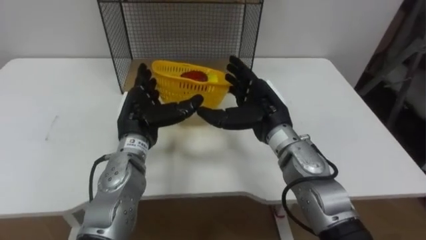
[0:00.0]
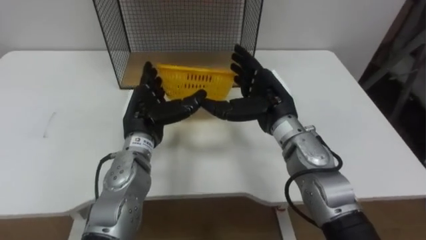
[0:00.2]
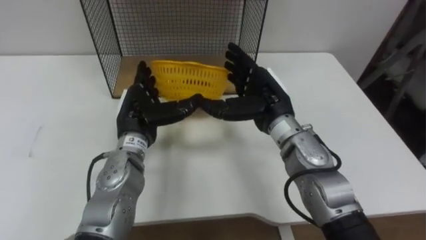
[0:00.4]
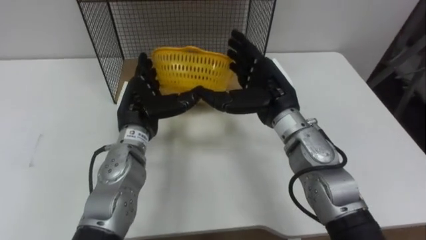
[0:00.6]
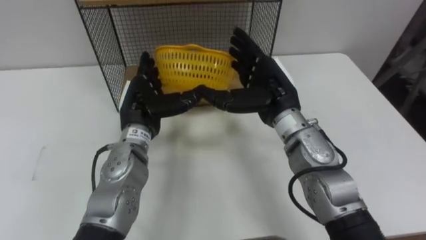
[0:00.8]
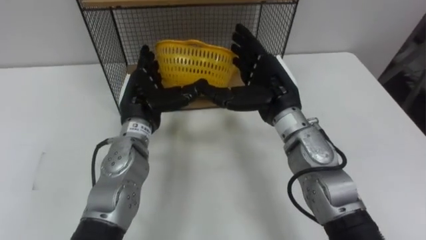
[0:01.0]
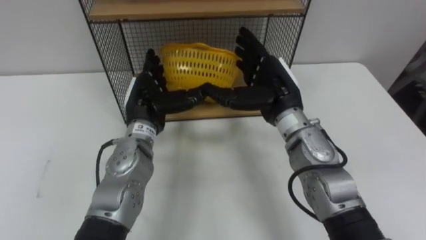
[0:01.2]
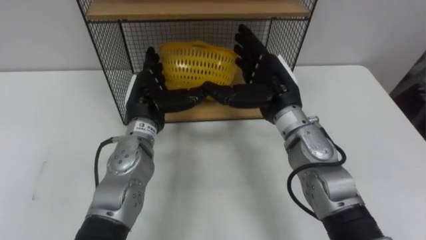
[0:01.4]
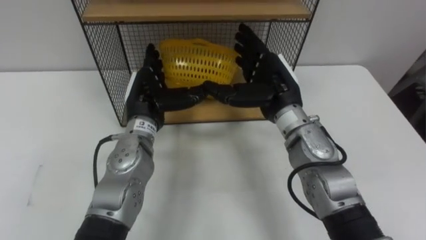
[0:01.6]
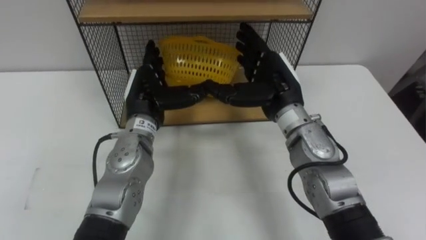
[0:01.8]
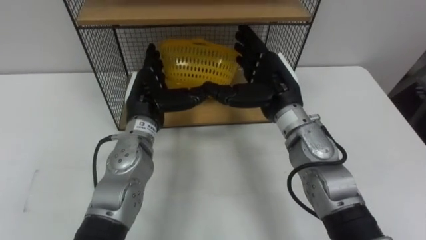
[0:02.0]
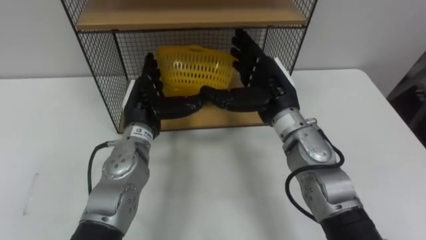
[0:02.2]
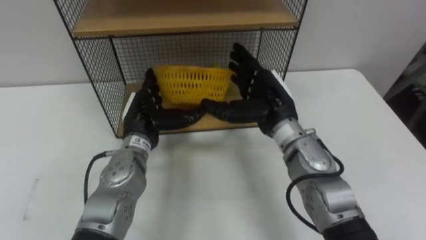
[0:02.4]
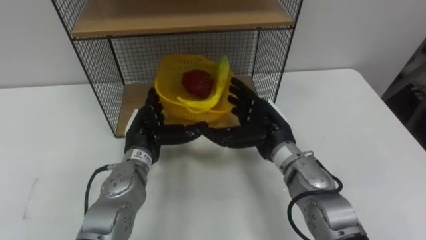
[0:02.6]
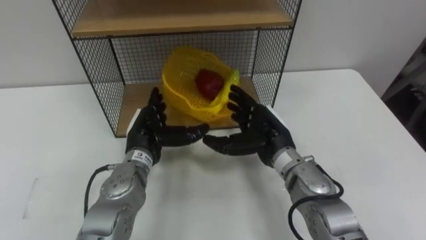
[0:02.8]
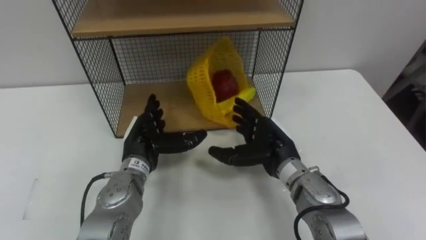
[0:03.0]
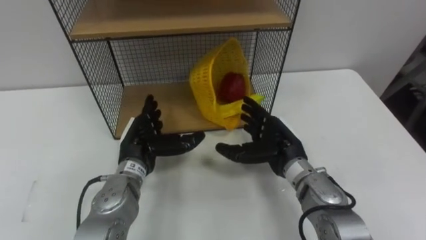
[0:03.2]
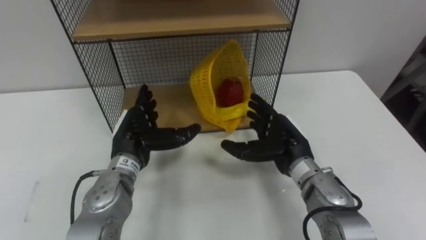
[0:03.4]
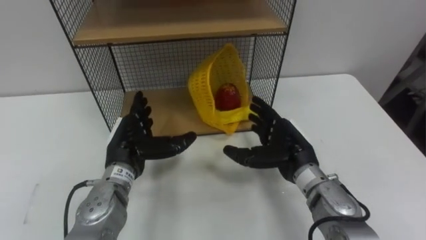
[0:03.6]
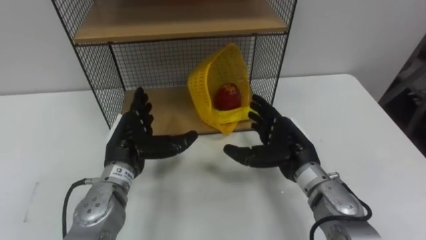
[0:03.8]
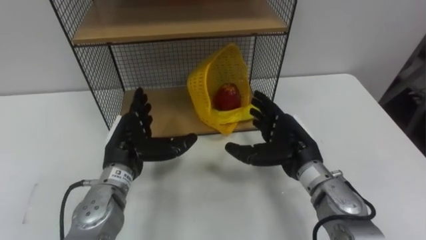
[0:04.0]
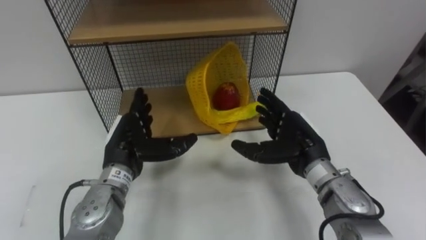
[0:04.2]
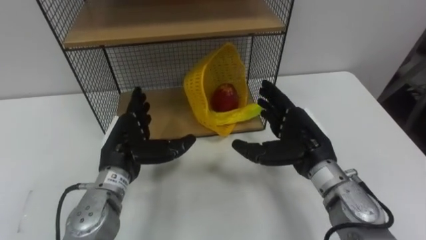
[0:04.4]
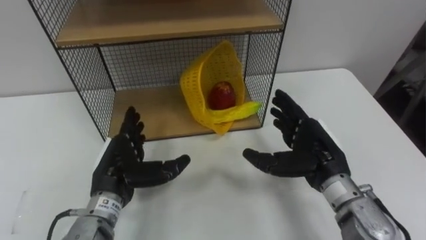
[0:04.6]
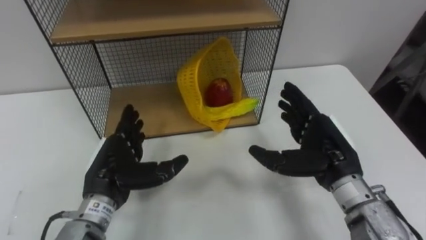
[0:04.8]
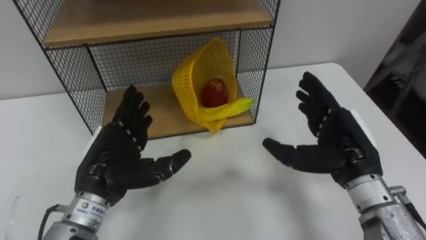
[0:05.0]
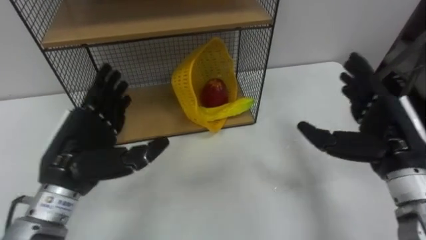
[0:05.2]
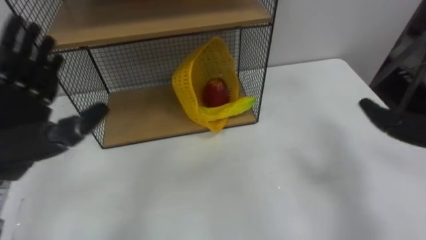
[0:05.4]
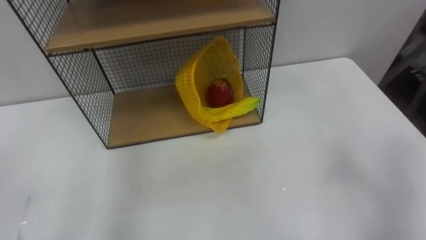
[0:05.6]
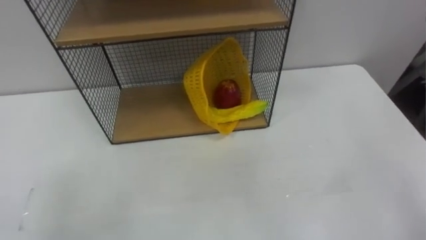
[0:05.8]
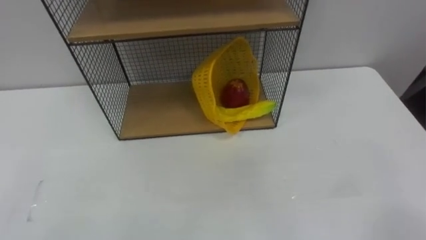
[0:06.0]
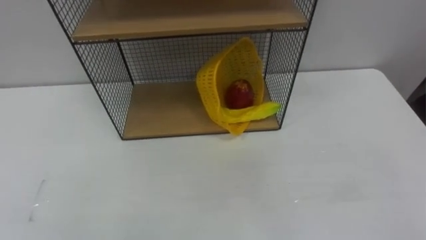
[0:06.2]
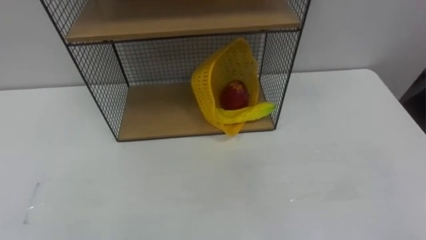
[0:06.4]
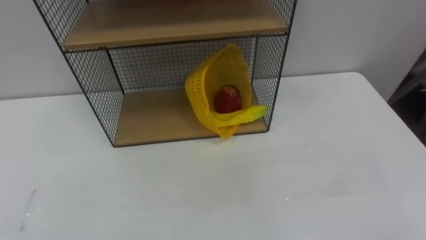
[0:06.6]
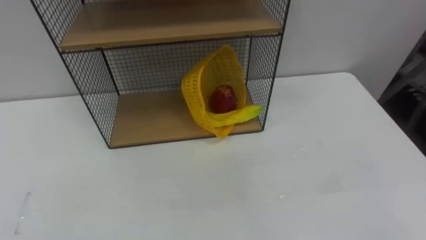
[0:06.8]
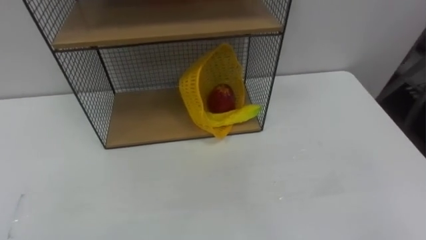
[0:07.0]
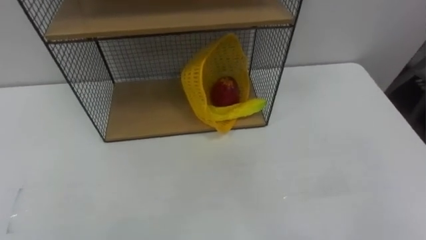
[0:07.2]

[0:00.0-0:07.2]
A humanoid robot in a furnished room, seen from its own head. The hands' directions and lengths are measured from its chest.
Task of the whole recording: Put the fruit on the table into the basket, then place the basket on the shelf.
1.4 to 2.8 s: Both hands travel together downward, approximately 5 cm.
2.8 to 4.4 s: The right hand is displaced to the right by approximately 5 cm. The left hand changes place by roughly 5 cm.

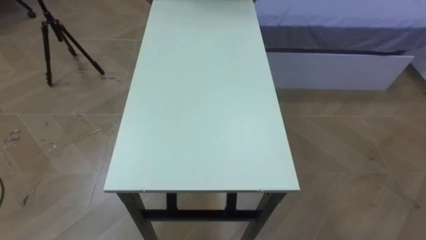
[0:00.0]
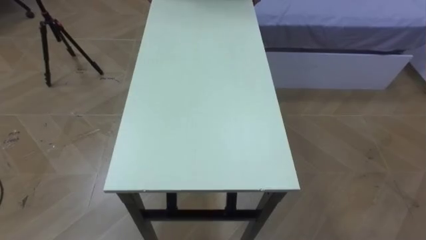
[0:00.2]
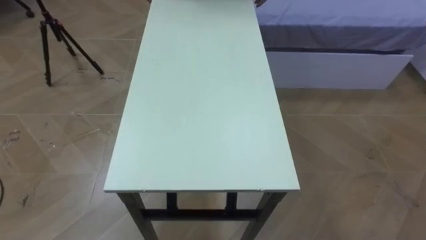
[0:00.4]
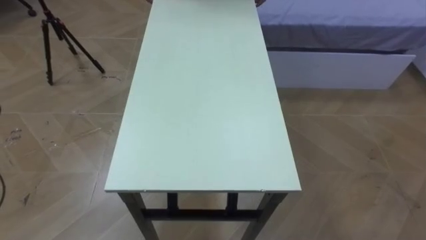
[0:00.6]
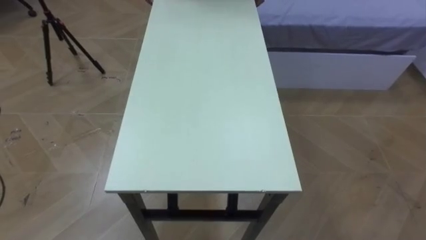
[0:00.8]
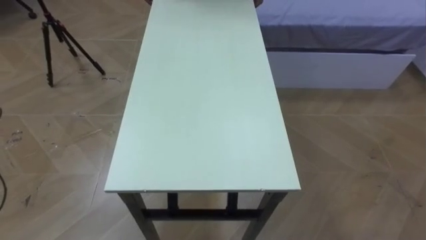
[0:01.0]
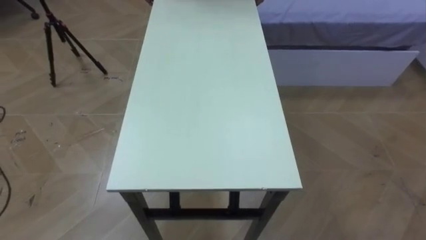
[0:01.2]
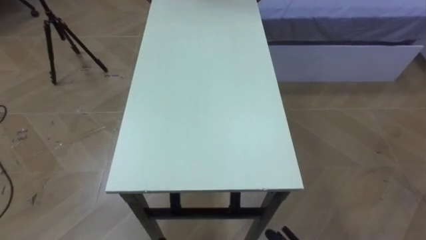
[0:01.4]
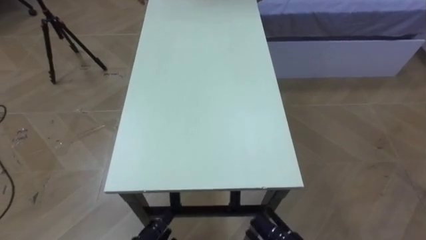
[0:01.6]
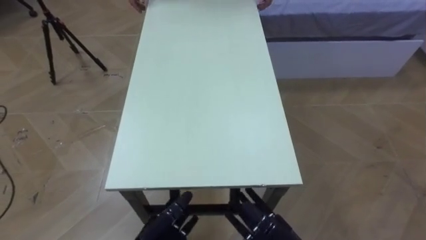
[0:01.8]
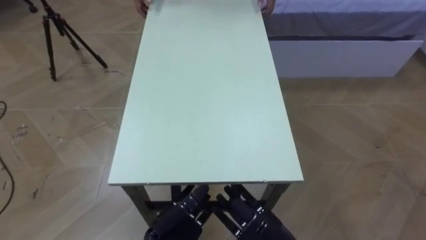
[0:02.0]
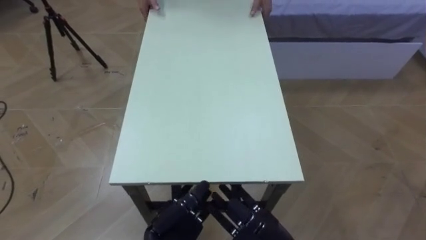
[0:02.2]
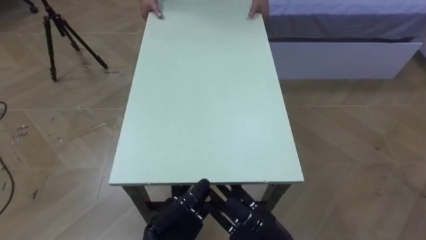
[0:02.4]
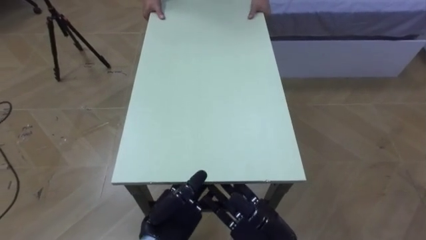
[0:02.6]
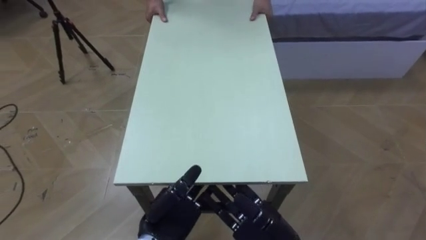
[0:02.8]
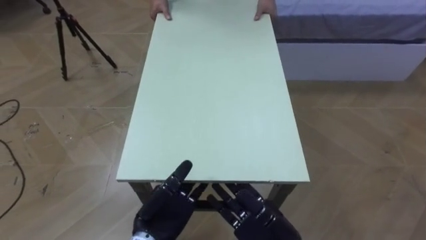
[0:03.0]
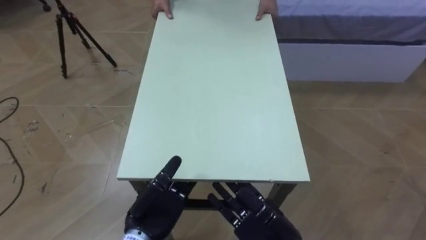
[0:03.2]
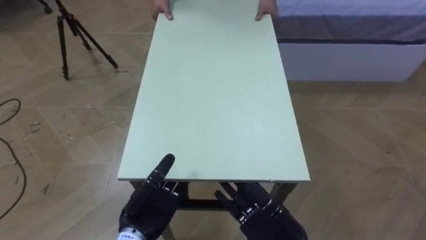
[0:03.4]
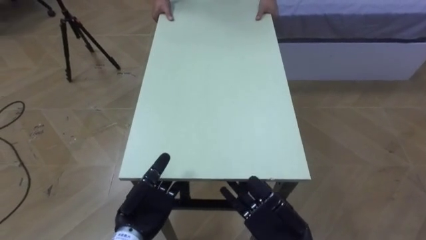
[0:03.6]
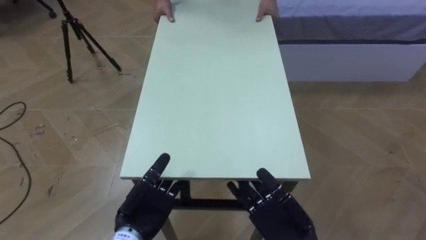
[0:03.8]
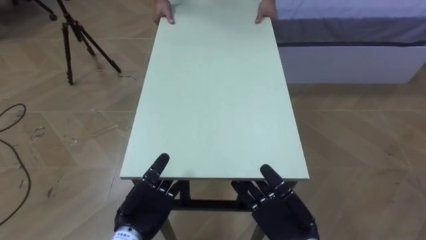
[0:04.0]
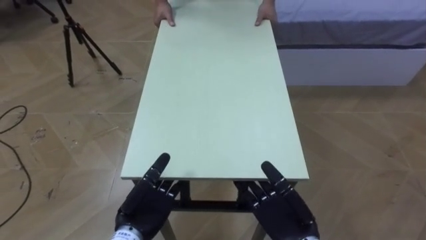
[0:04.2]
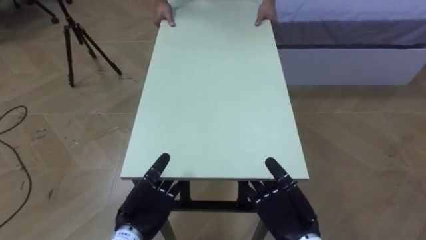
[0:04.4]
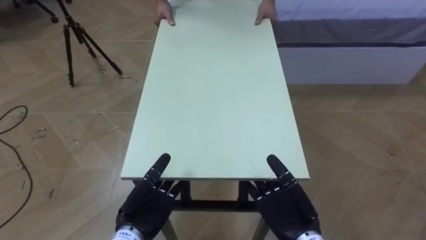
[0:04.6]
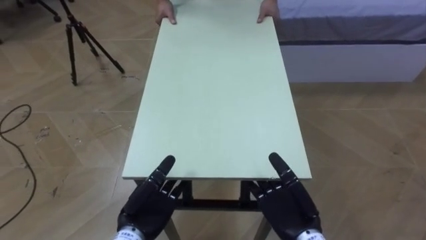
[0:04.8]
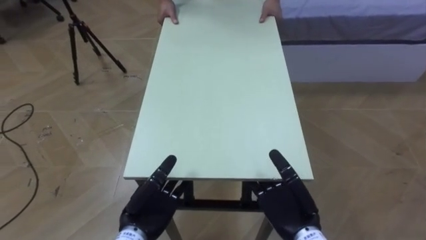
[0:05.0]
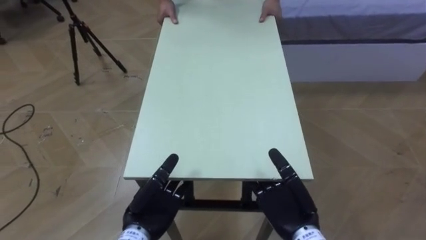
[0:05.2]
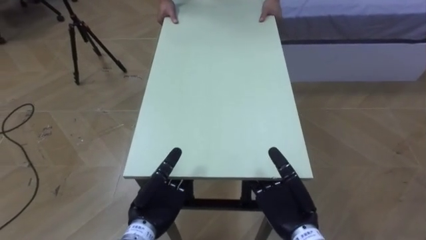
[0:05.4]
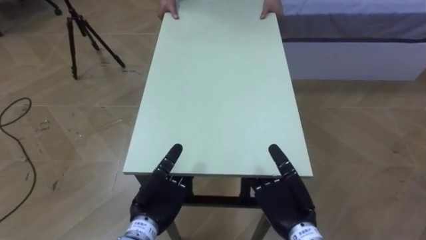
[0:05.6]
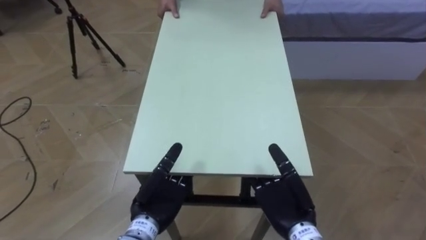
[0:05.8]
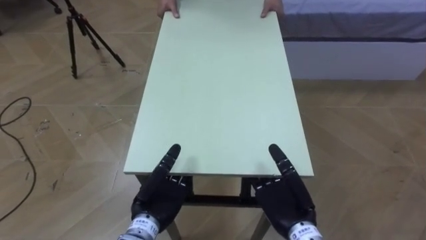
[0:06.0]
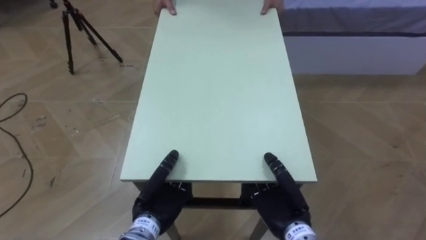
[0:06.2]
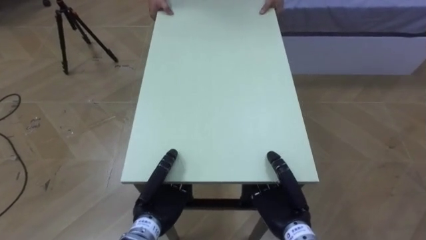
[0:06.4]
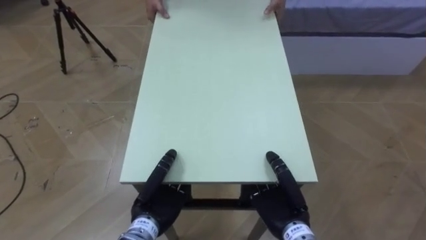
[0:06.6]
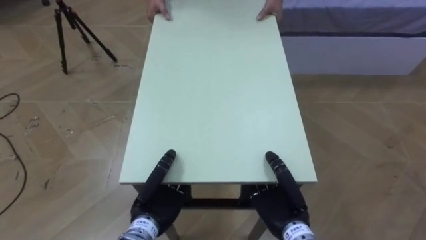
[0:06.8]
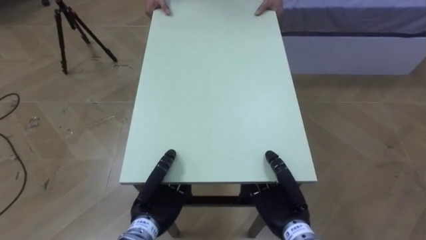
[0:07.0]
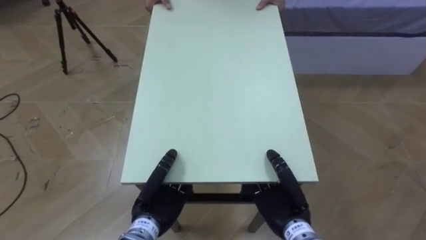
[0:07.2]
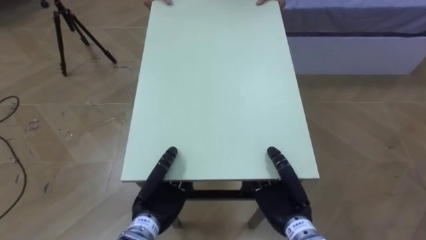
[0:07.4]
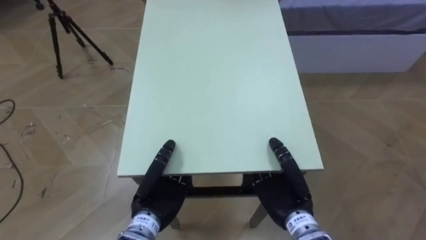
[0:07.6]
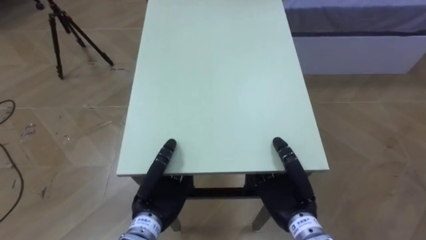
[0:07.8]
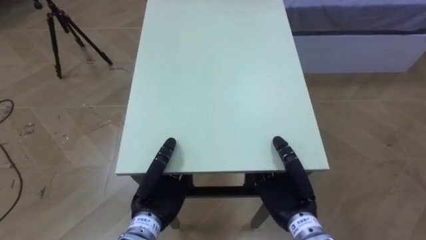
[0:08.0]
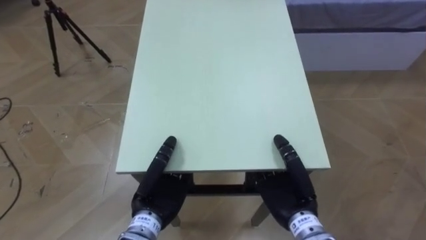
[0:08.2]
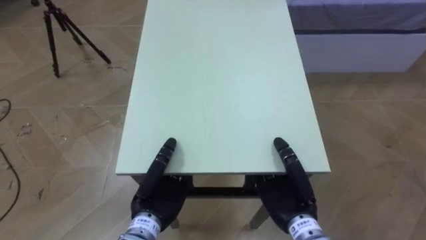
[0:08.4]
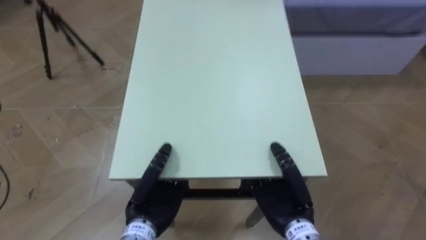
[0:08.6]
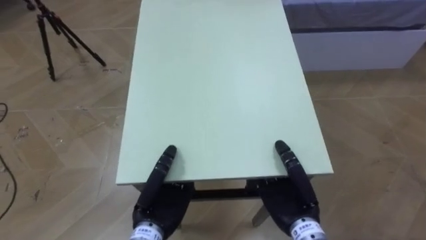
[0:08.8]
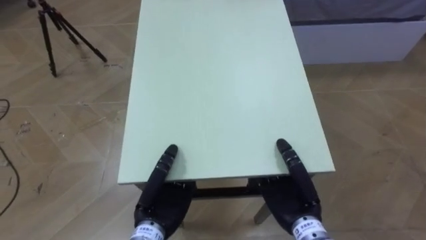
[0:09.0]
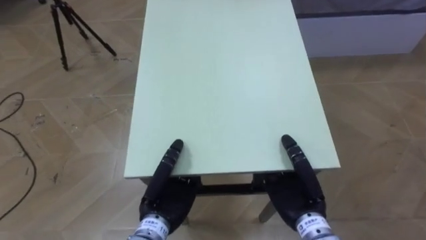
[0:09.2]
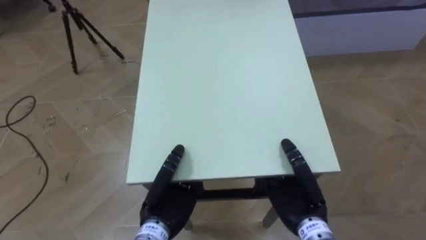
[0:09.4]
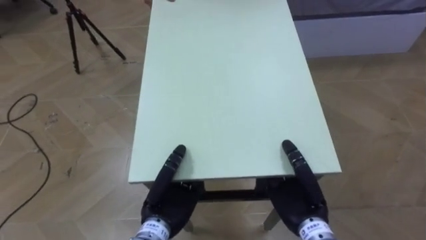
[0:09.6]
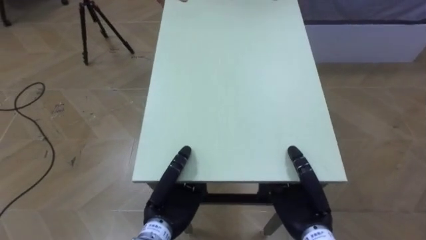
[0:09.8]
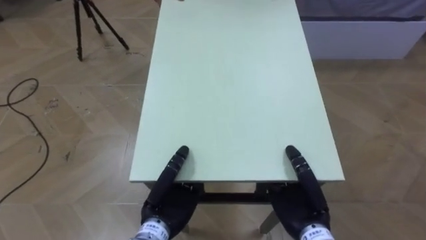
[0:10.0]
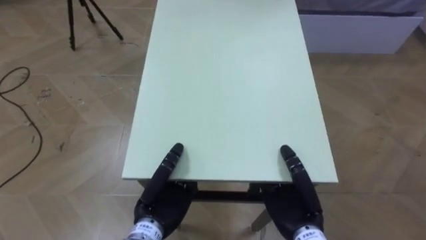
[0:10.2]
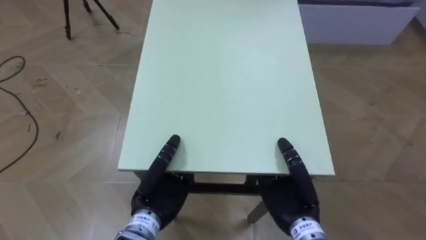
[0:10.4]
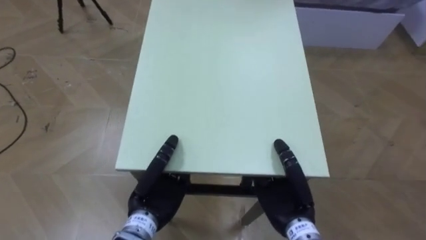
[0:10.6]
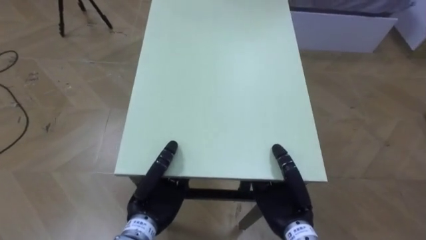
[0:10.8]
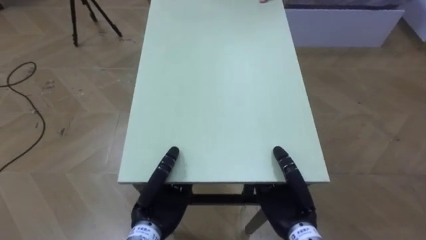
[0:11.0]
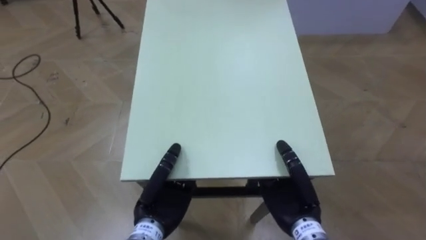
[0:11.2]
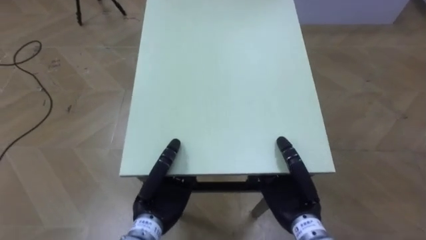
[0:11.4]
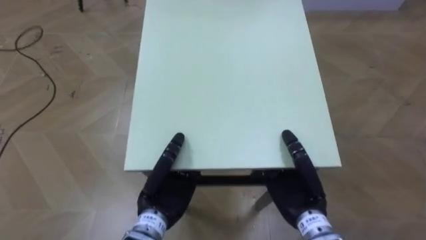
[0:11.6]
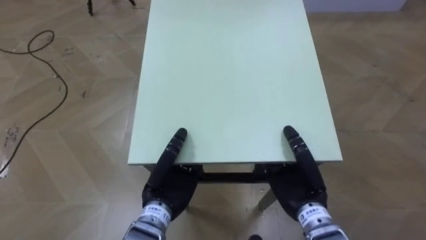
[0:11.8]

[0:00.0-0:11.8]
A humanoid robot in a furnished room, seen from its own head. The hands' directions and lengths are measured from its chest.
Task of the whole recording: Move the table to the back left with someone.
3.0 to 4.4 s: The right hand moves approximately 5 cm.
4.4 to 6.0 s: The hands make only small movements.
6.0 to 7.4 s: The left hand closes its fingers.
